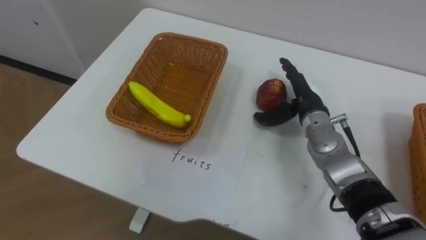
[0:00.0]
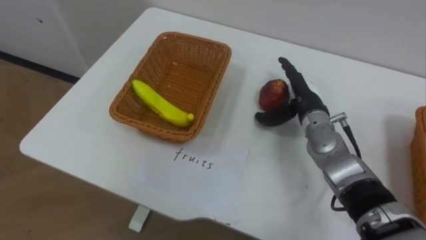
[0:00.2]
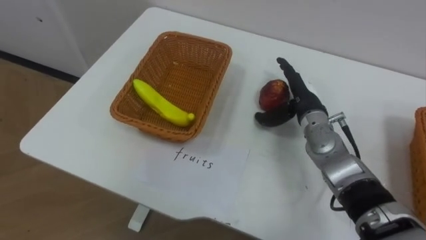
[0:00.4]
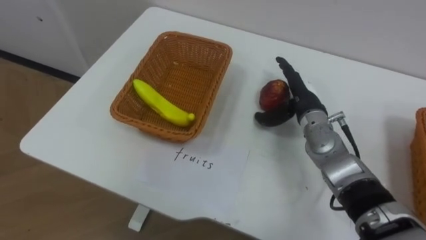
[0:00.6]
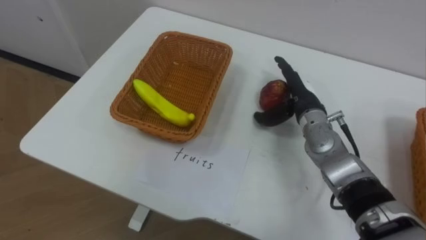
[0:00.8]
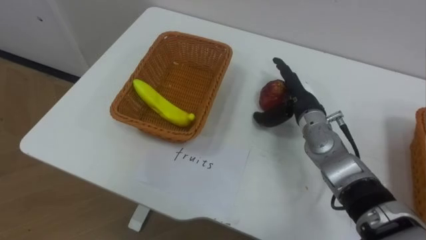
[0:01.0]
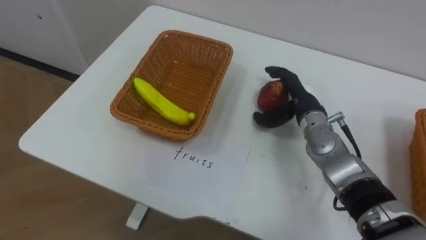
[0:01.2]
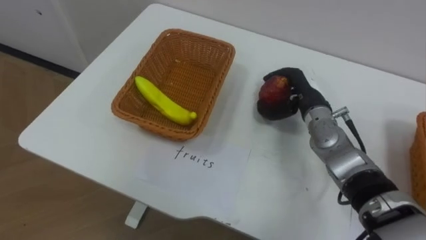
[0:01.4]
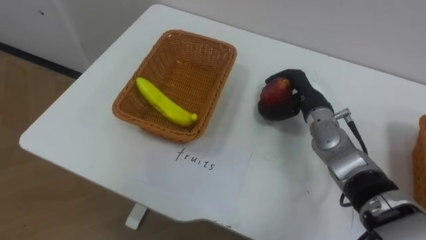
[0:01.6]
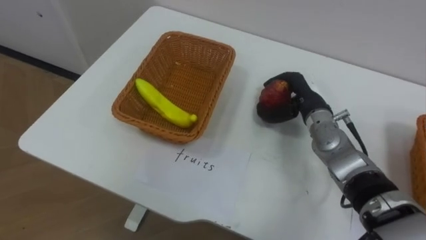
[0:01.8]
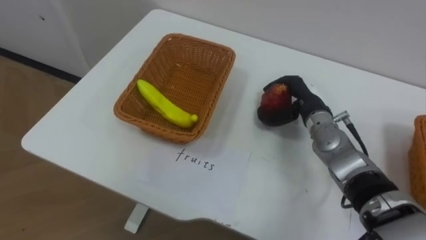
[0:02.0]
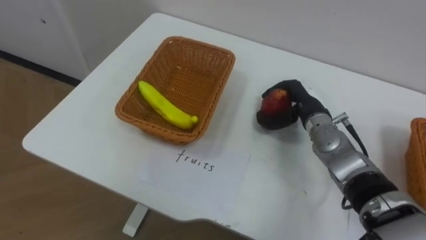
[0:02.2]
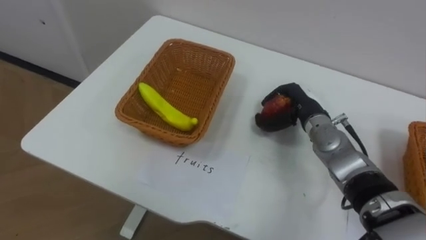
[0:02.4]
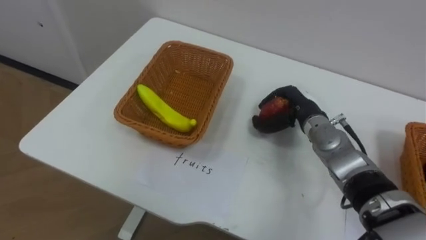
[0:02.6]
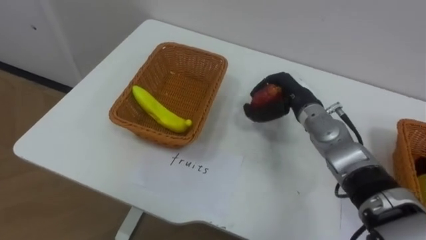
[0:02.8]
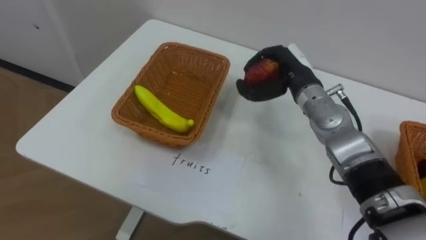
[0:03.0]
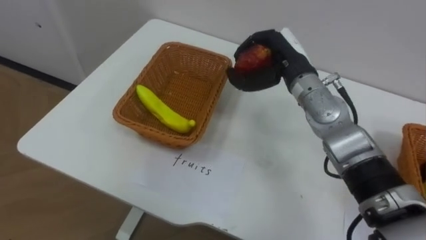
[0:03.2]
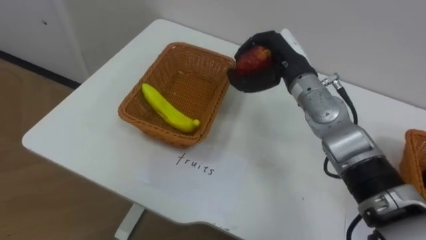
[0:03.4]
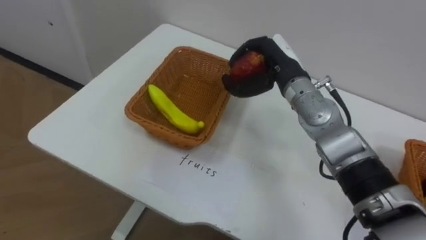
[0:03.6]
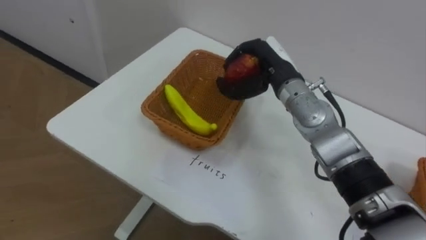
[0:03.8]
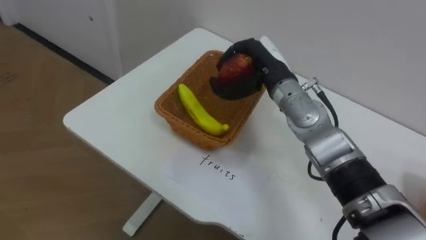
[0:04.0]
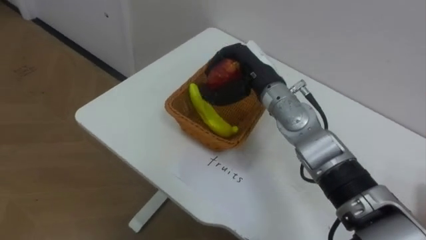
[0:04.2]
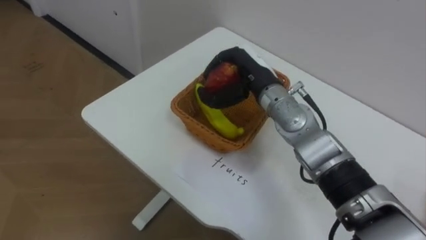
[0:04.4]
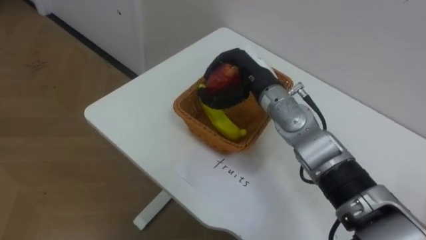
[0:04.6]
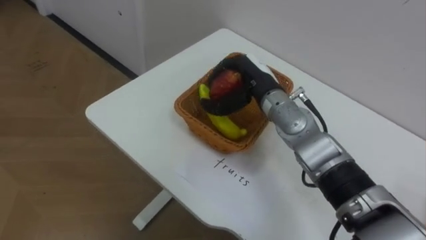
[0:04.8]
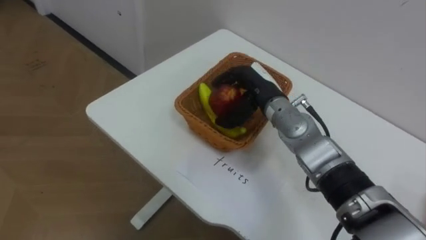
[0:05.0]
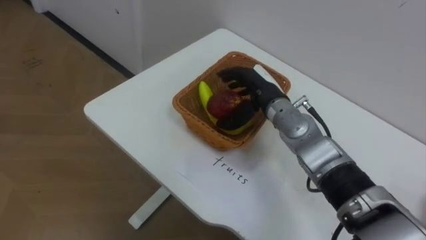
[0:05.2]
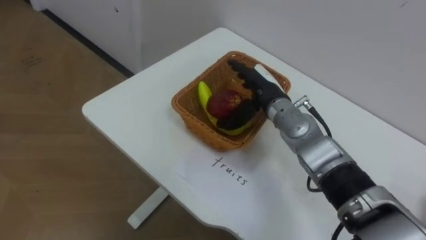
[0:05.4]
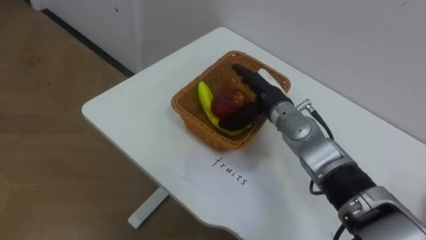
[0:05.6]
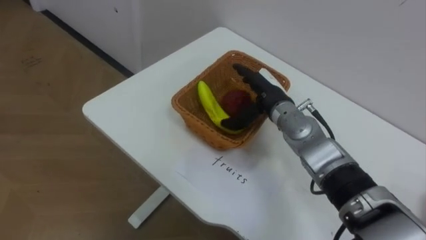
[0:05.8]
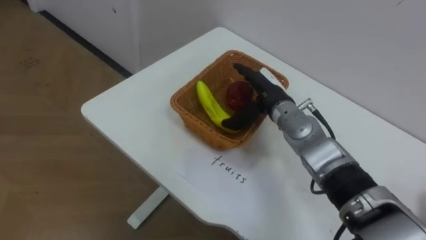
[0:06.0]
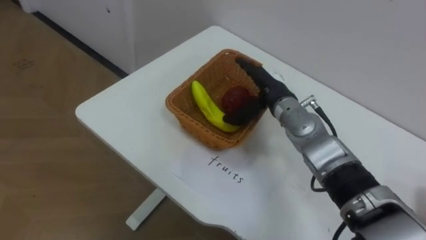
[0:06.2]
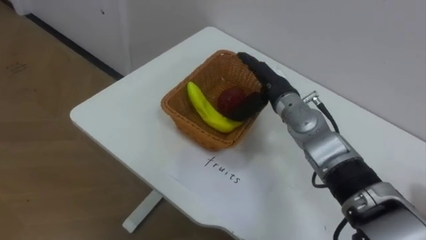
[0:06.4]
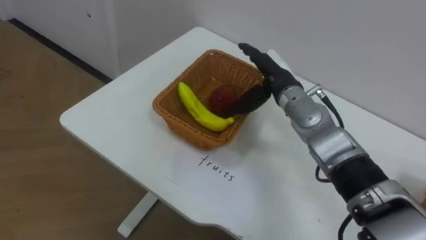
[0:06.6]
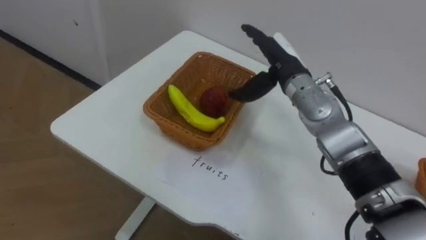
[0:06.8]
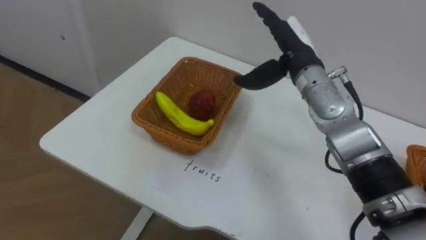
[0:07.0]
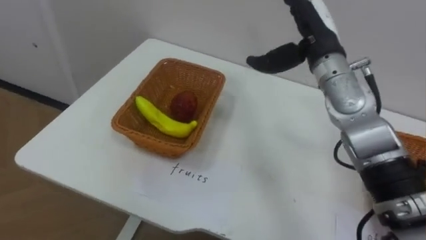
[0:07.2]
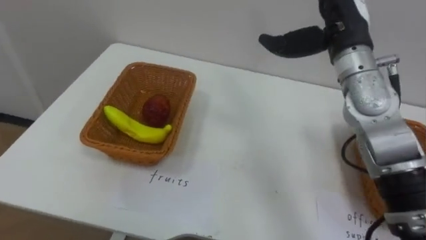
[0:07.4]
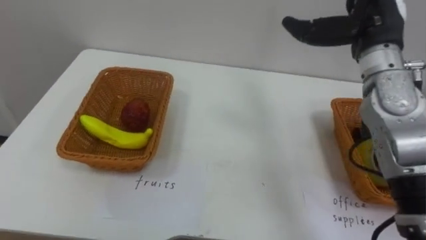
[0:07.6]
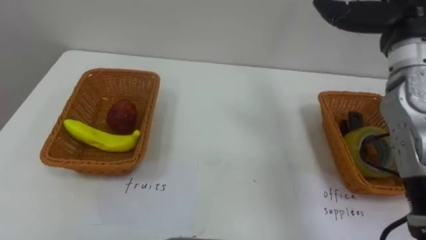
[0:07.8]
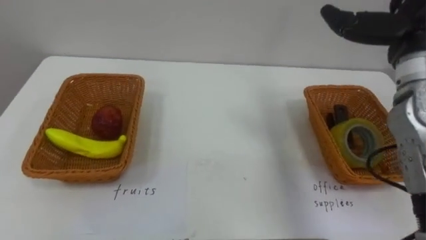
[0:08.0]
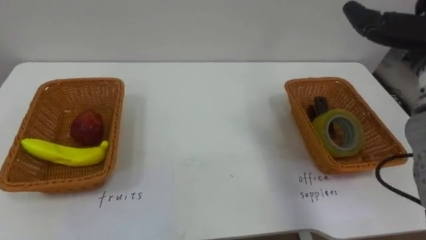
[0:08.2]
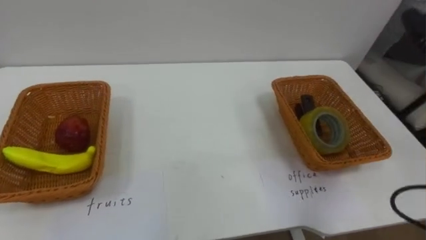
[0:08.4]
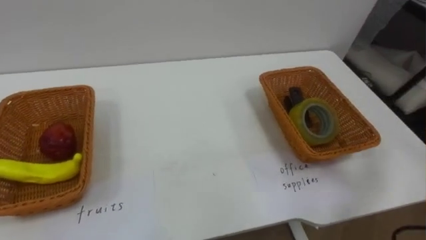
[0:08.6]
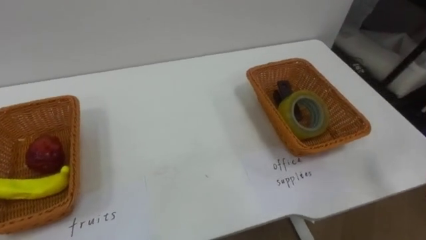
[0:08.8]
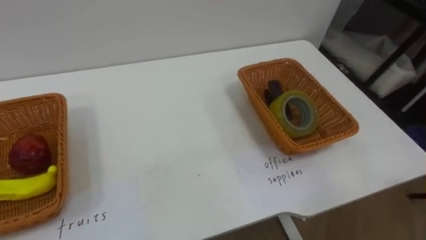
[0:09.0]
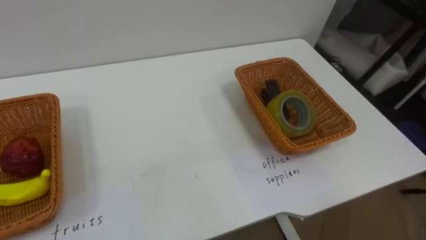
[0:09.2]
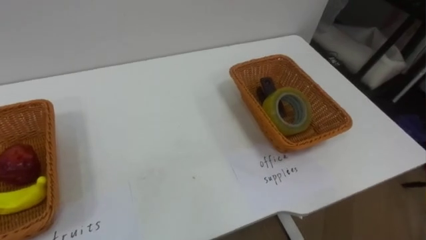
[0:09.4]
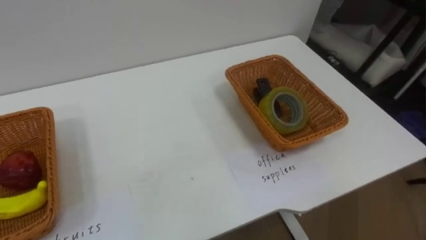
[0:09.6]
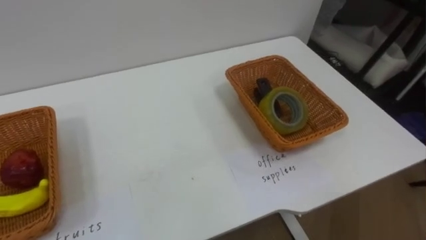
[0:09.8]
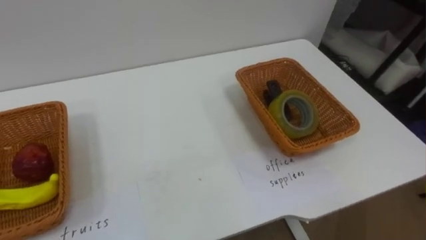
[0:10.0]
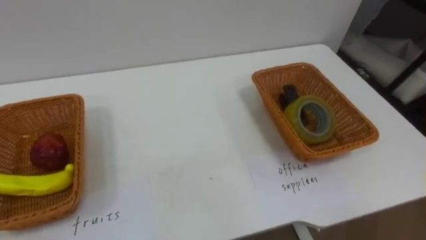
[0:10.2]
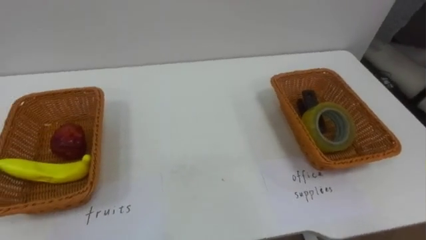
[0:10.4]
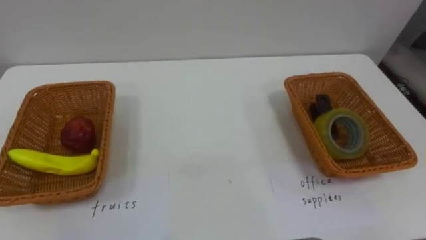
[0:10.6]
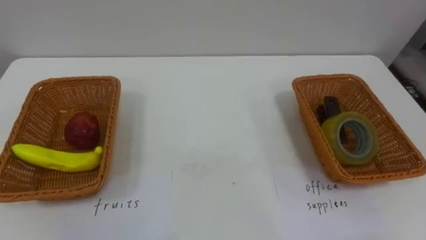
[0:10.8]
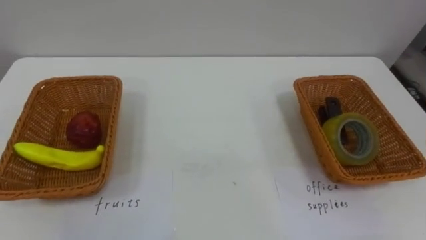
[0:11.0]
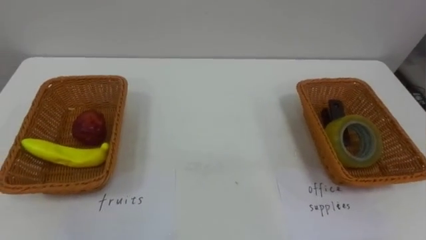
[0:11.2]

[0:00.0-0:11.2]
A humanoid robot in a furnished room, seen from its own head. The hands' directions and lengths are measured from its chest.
Task of the whole recording: Separate the items on the table and place them into the two baskets.
0:00.0 to 0:01.6: The right hand closes up.
0:01.6 to 0:03.2: The right hand moves upward and to the left, roughly 10 cm.
0:03.2 to 0:04.8: The right hand travels to the left by about 5 cm.
0:04.8 to 0:06.4: The right hand opens up.
0:06.4 to 0:08.0: The right hand shifts about 25 cm to the right and upward.

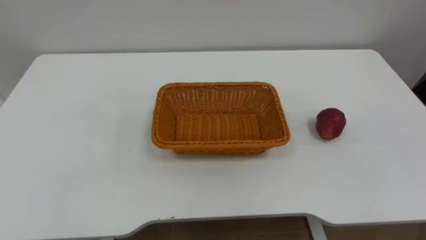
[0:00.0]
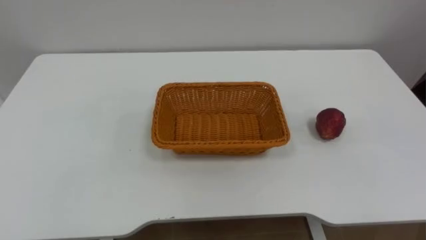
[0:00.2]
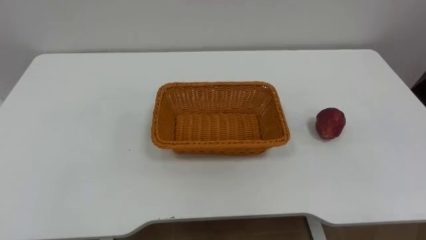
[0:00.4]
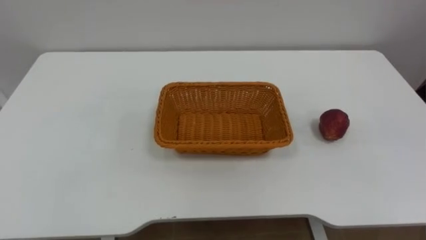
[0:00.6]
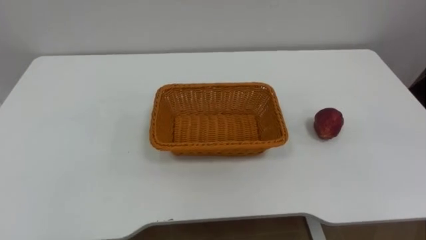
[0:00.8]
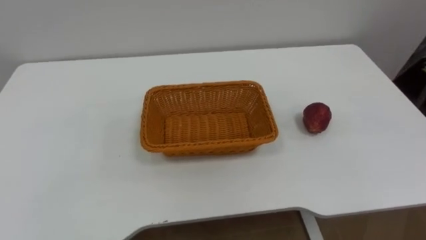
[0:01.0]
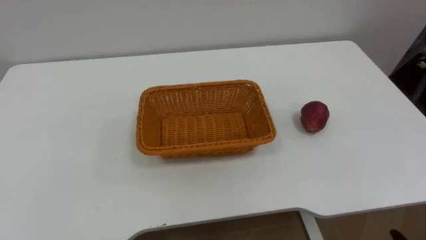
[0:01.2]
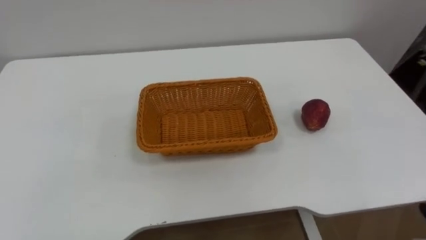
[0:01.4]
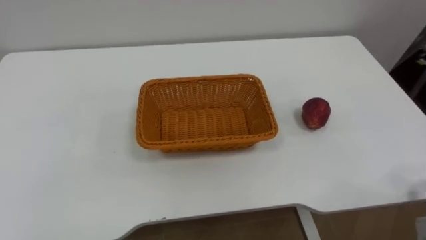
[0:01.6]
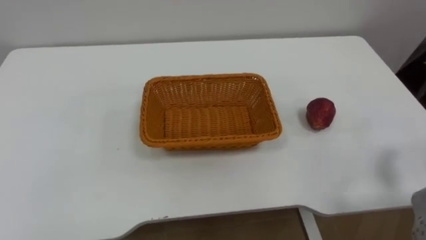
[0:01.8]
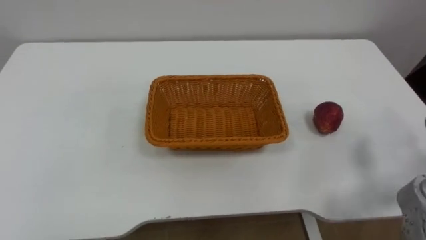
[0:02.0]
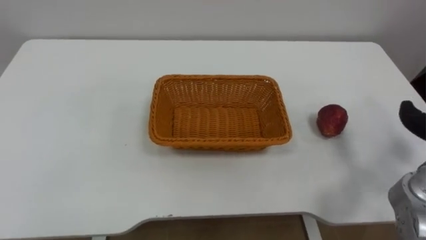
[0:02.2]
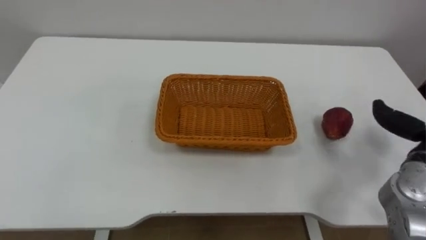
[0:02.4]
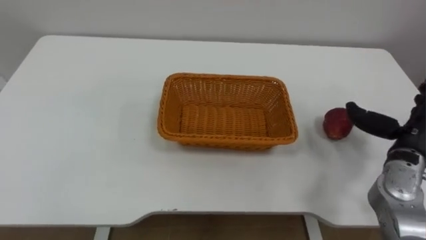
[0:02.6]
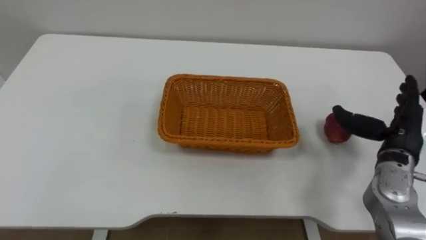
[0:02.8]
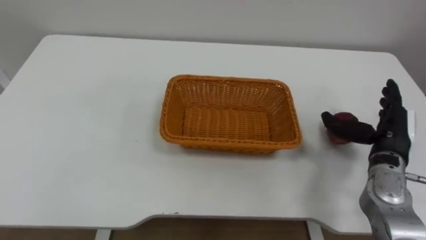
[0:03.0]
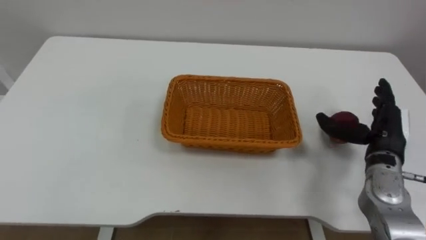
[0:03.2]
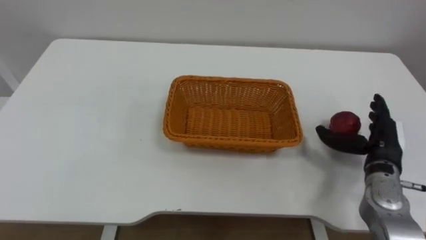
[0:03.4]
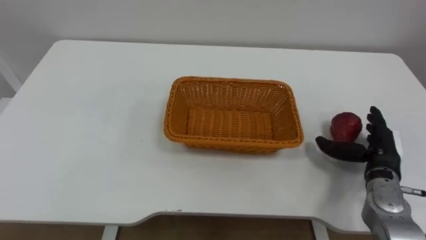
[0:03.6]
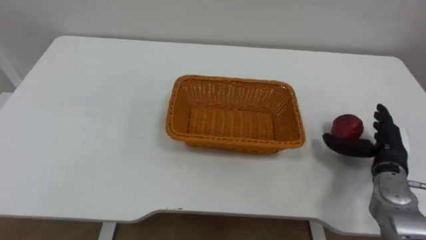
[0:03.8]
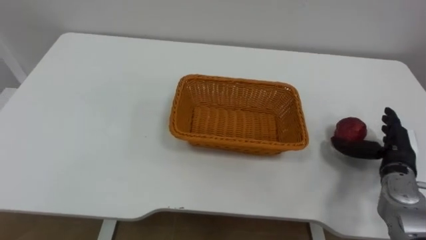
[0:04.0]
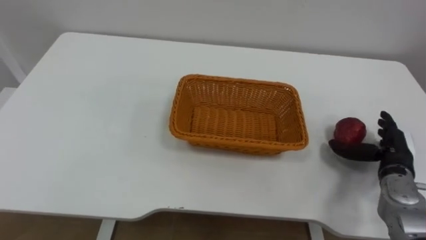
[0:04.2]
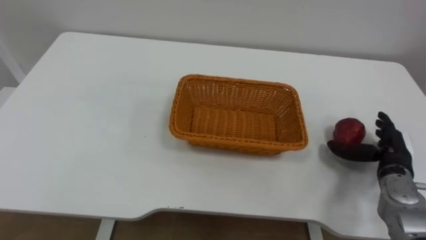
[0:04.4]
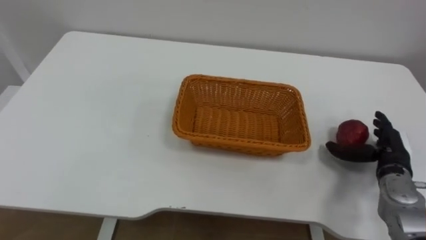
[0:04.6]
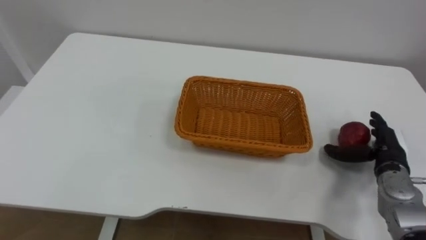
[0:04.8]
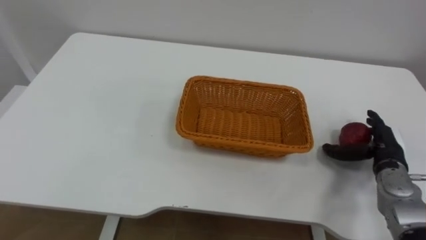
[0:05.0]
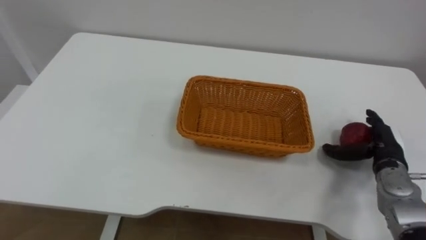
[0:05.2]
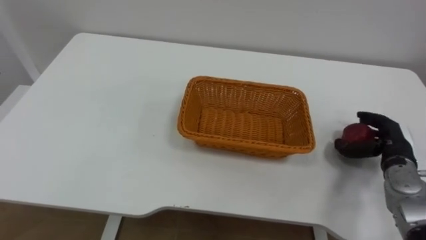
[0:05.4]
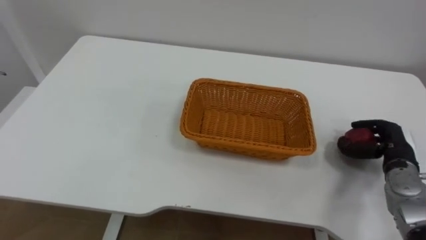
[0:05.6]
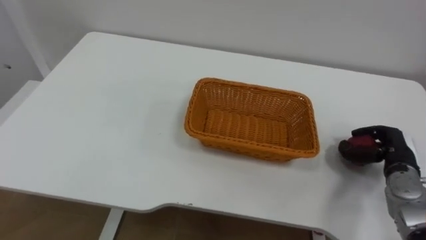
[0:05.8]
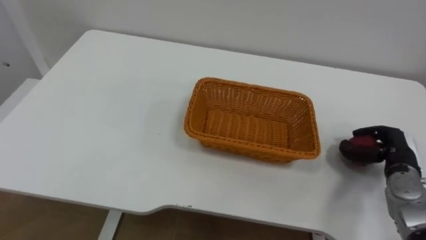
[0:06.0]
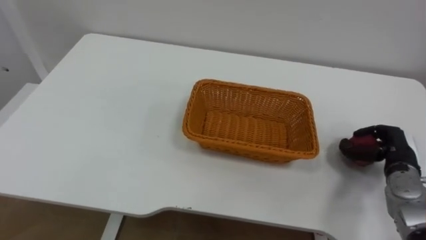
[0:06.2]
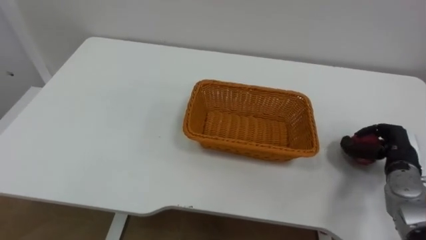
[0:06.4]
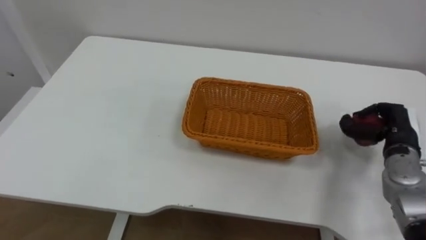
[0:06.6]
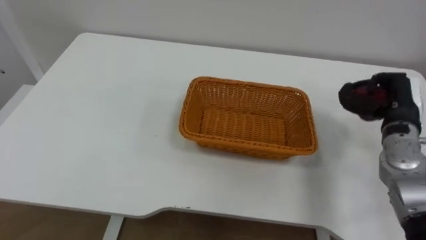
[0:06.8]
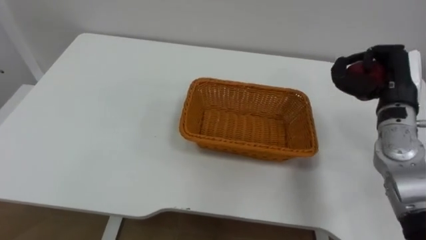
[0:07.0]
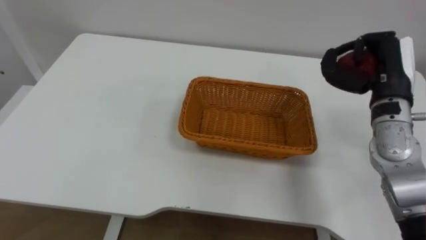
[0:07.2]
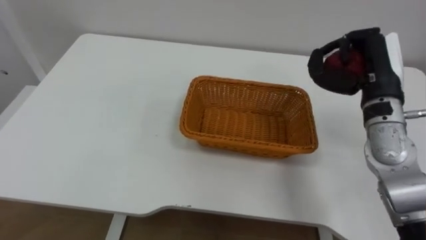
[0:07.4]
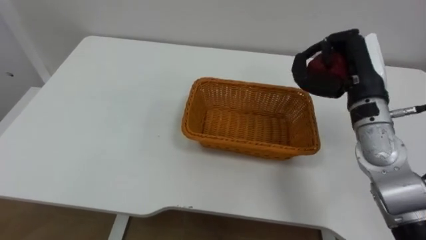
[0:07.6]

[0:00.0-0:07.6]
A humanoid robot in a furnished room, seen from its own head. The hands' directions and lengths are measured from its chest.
Task of the whole recording: Pick the apple and place it in the box.
0:03.0 to 0:04.6: The right hand is displaced downward by roughly 5 cm.
0:04.6 to 0:06.0: The right hand closes.
0:06.0 to 0:07.6: The right hand travels upward and to the left by roughly 20 cm.
